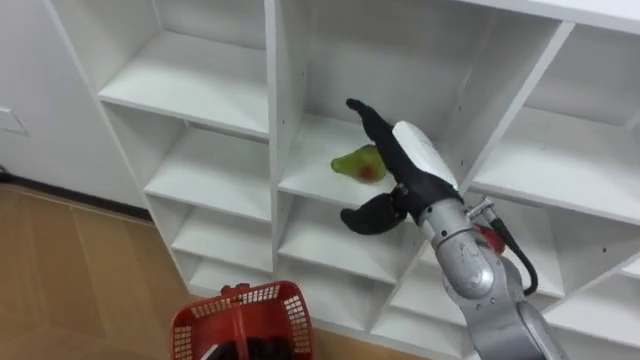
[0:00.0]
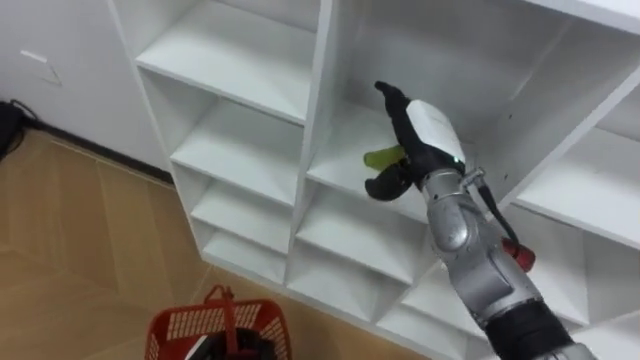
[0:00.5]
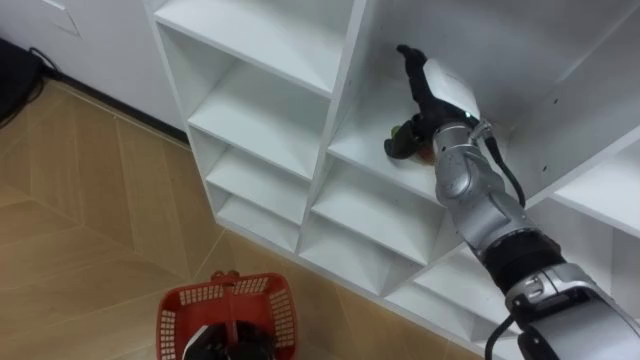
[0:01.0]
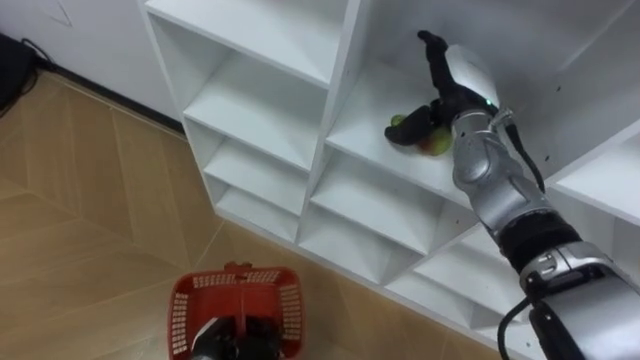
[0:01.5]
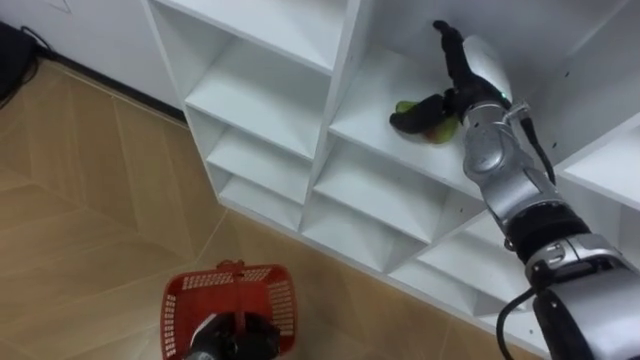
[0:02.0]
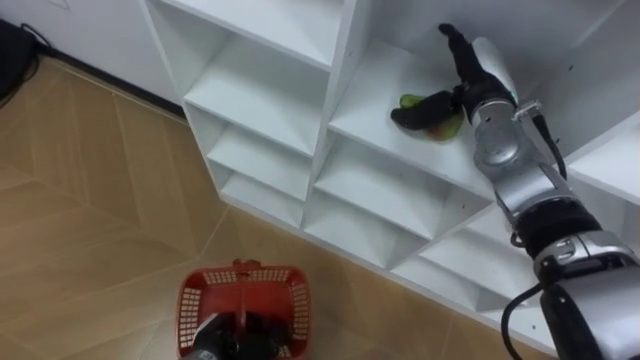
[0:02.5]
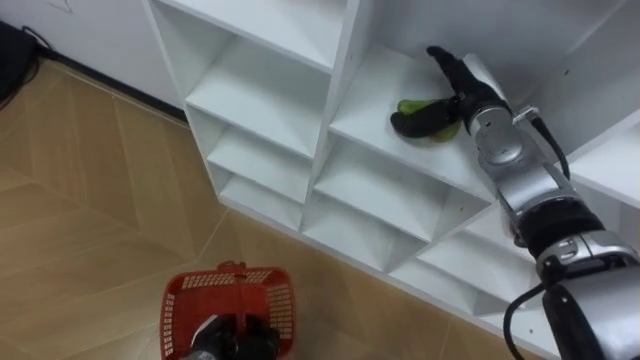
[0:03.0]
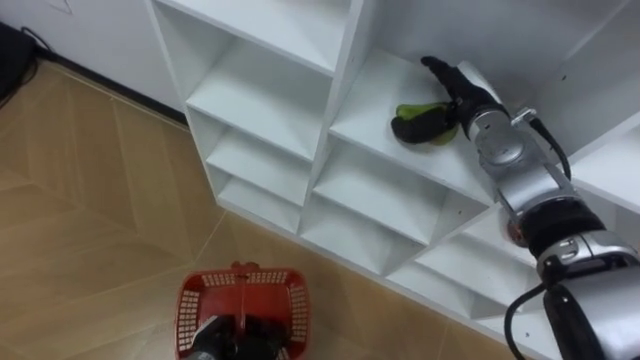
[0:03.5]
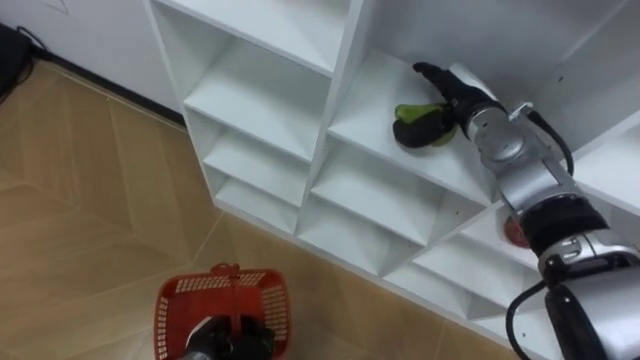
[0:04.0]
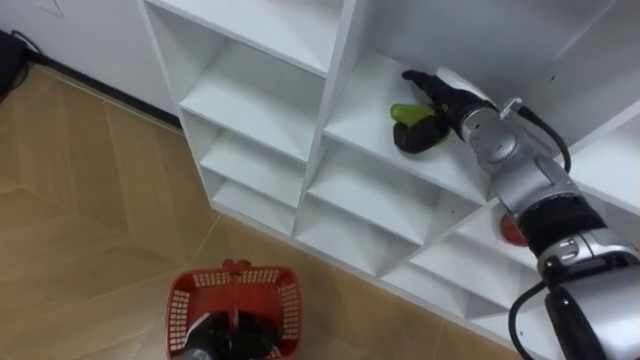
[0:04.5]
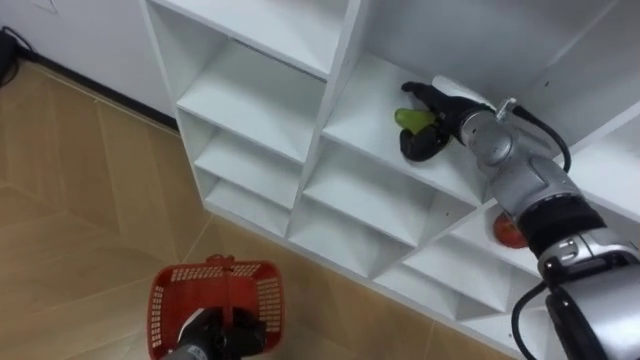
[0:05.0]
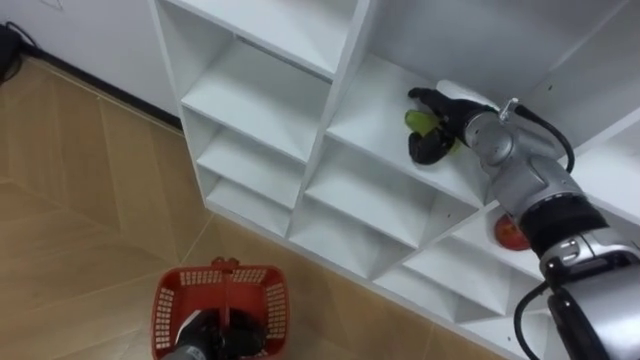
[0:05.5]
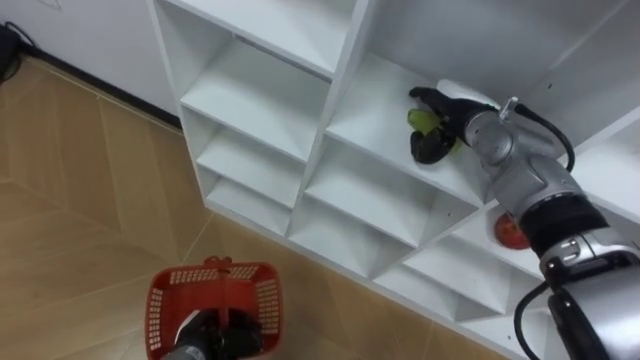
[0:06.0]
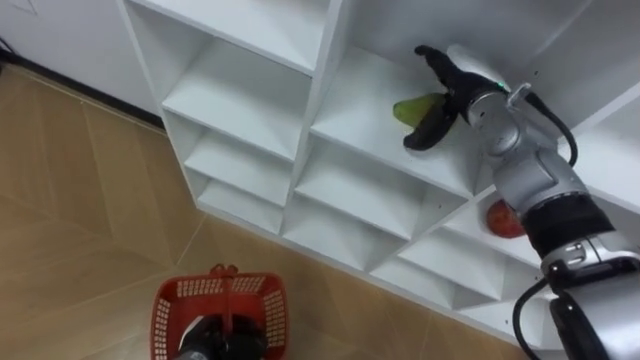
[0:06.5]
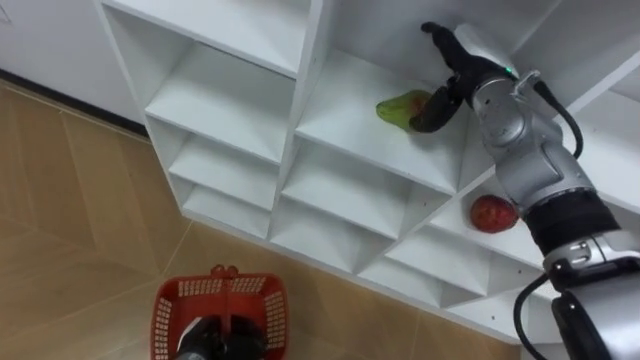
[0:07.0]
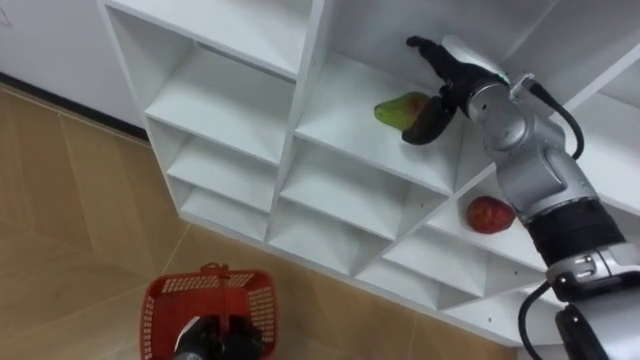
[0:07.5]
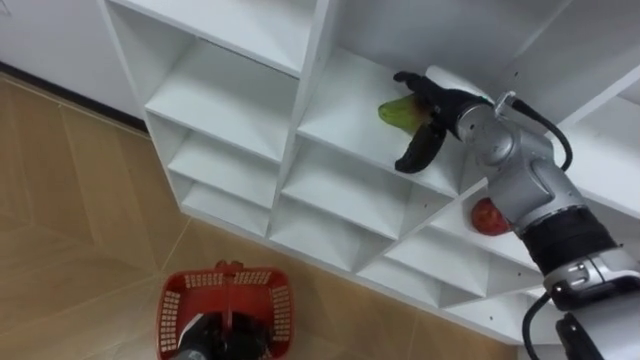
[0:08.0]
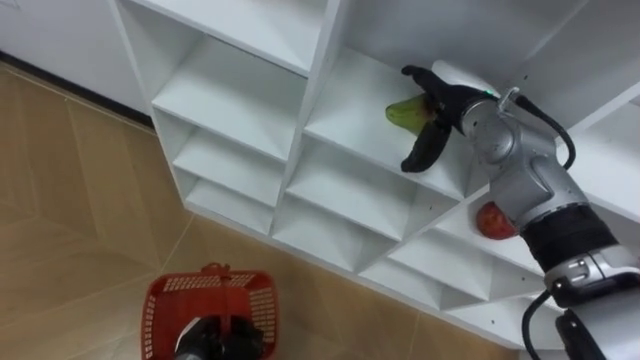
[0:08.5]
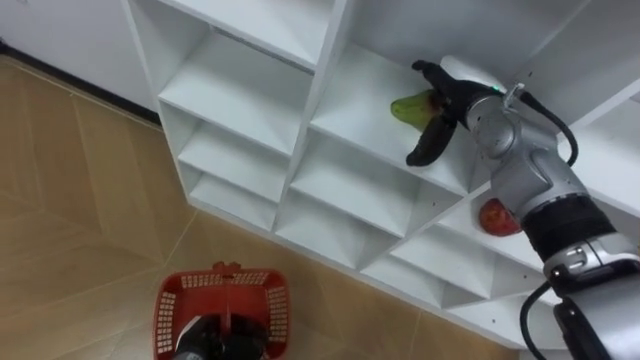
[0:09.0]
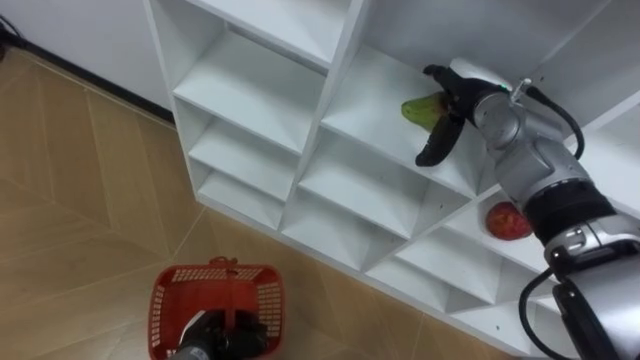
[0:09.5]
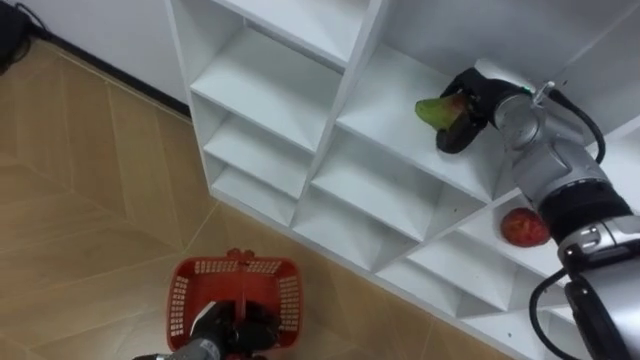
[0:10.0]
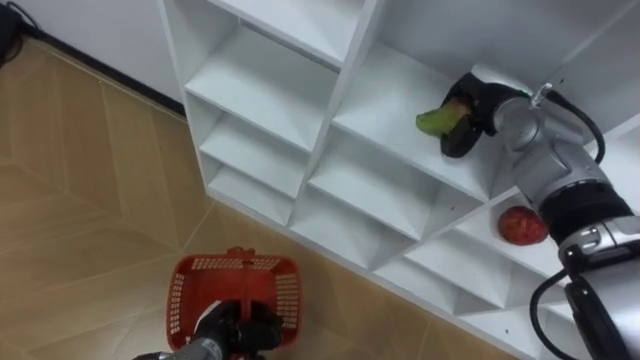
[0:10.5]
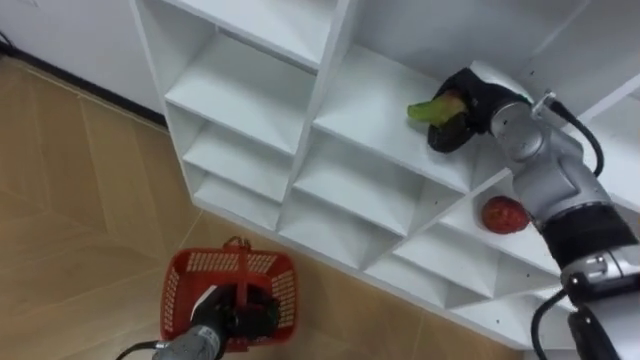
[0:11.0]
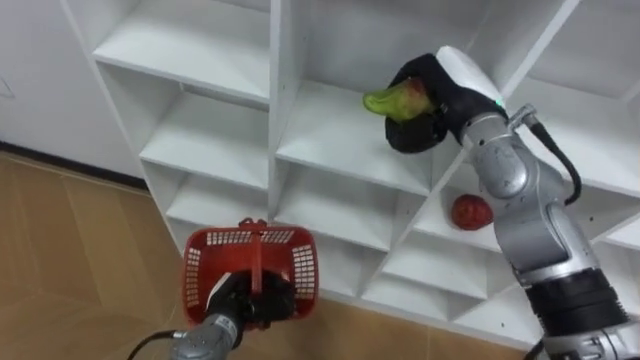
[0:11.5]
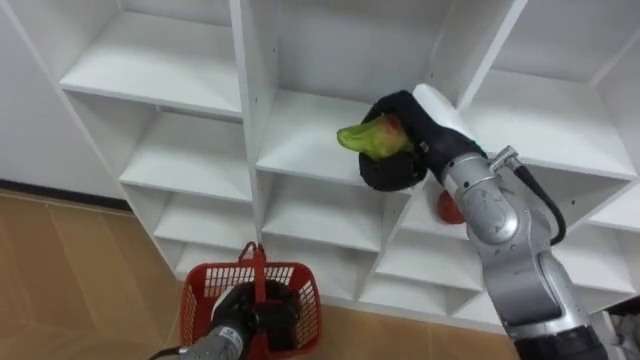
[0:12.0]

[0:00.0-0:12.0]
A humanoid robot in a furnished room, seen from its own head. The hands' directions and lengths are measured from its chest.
Task of the whole recording: Hold the basket and collect the fruits from 3 different cells of the closet into it.
0.0 to 2.0 s: The right hand travels forward and to the right by about 15 cm.
8.0 to 10.0 s: The right hand heads to the right, covering some 5 cm, and closes.
10.0 to 12.0 s: The right hand moves backward and to the left, about 10 cm.

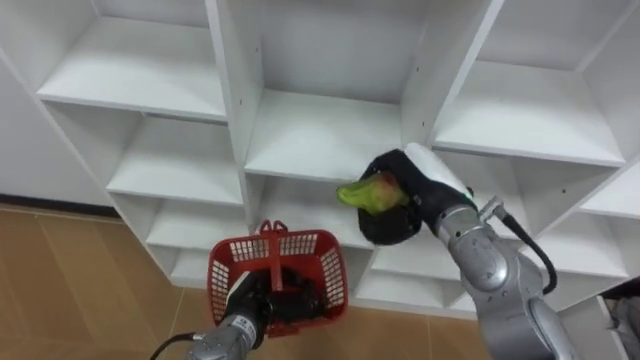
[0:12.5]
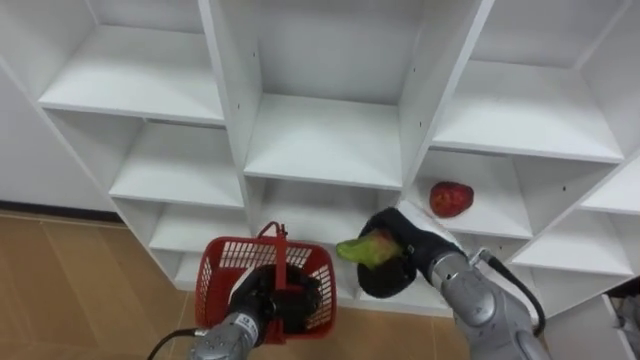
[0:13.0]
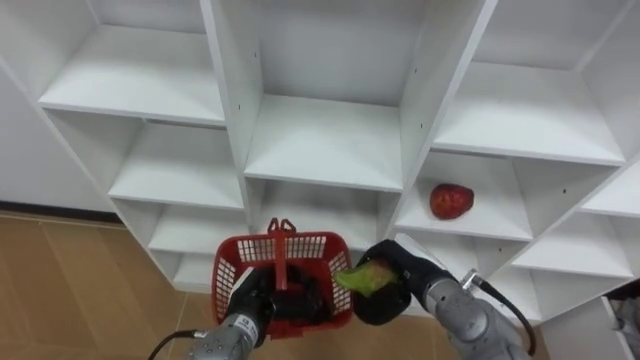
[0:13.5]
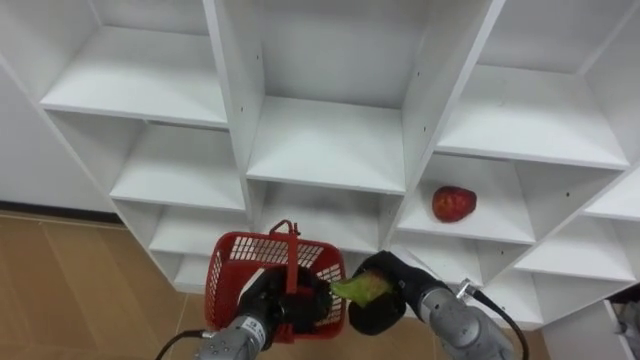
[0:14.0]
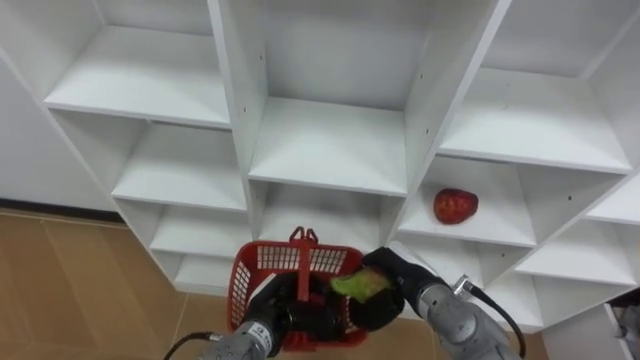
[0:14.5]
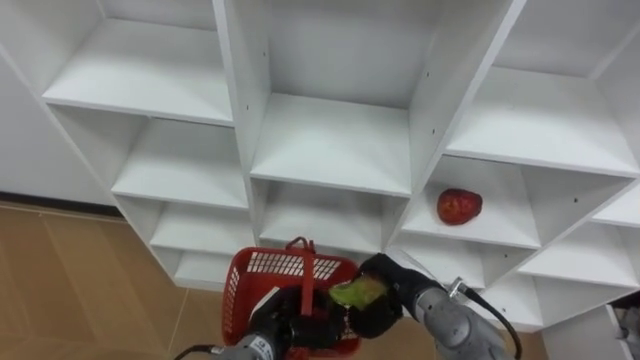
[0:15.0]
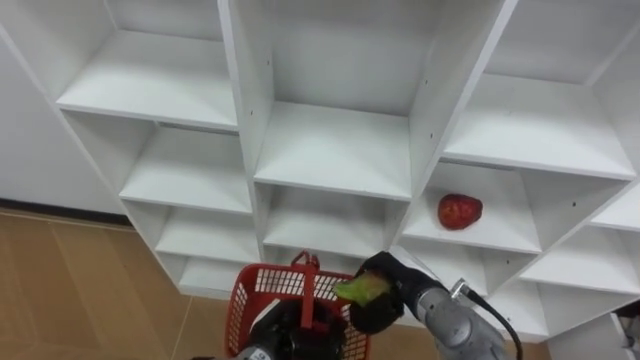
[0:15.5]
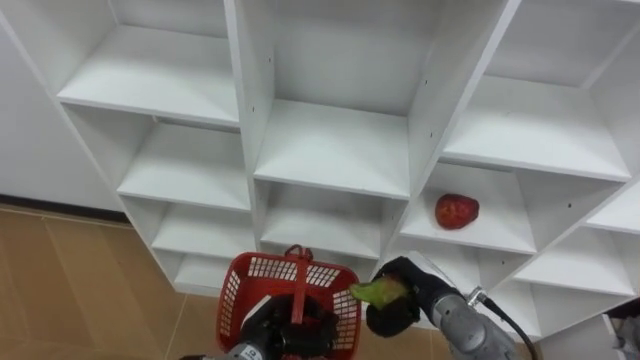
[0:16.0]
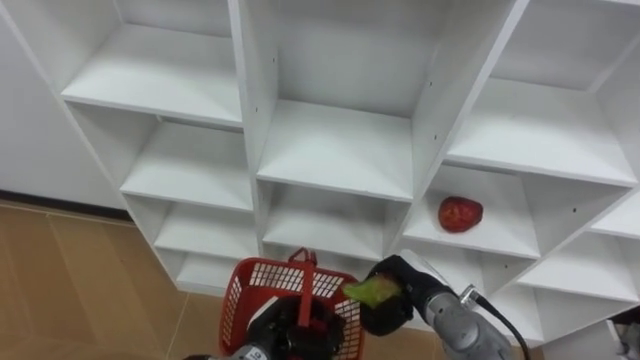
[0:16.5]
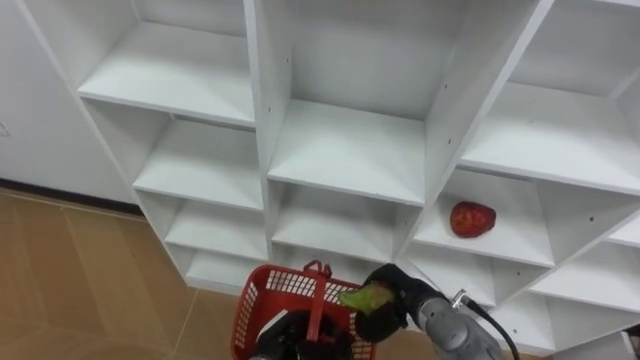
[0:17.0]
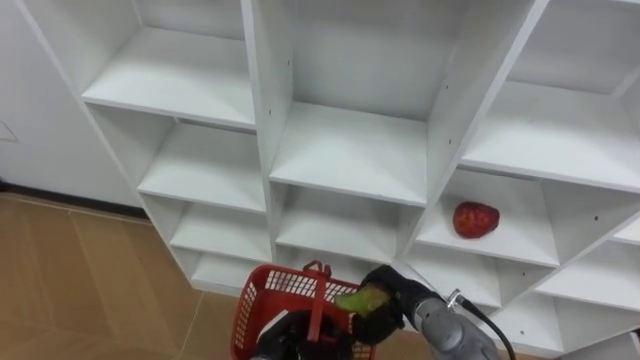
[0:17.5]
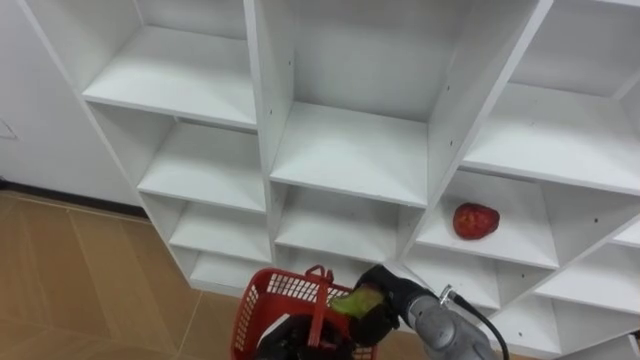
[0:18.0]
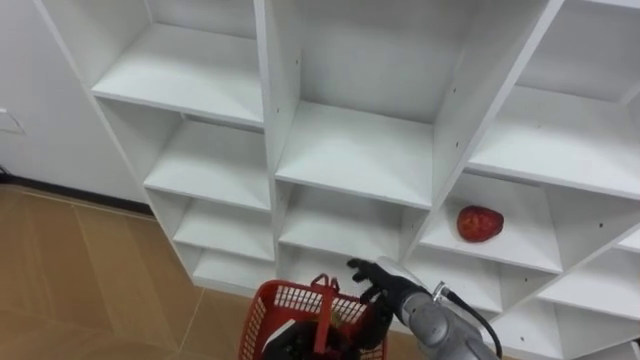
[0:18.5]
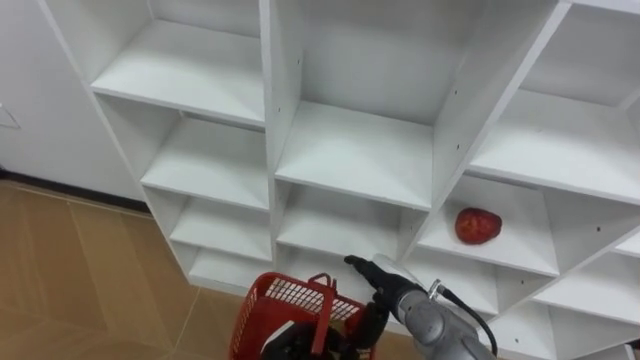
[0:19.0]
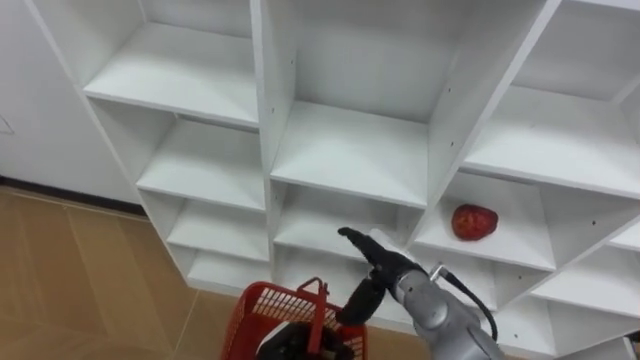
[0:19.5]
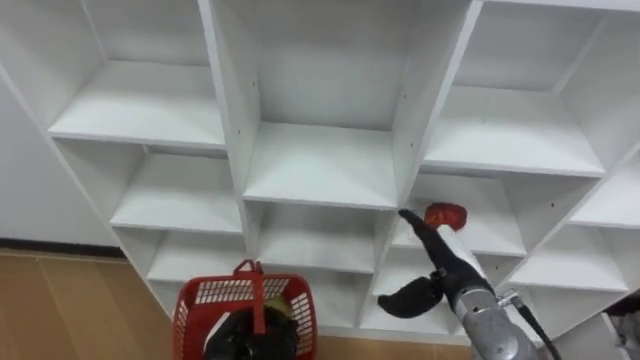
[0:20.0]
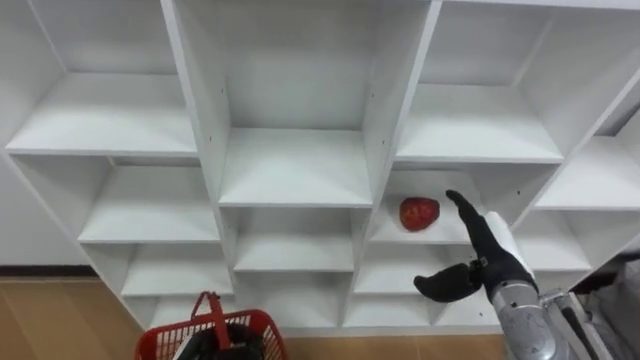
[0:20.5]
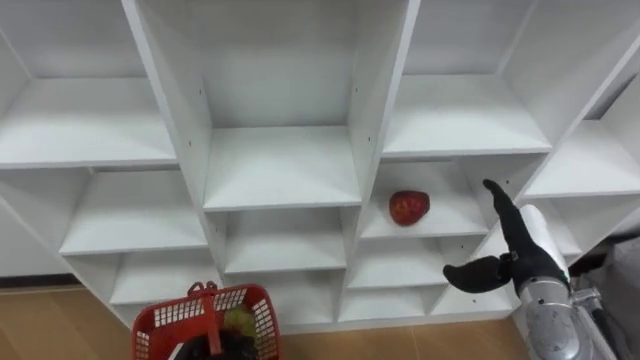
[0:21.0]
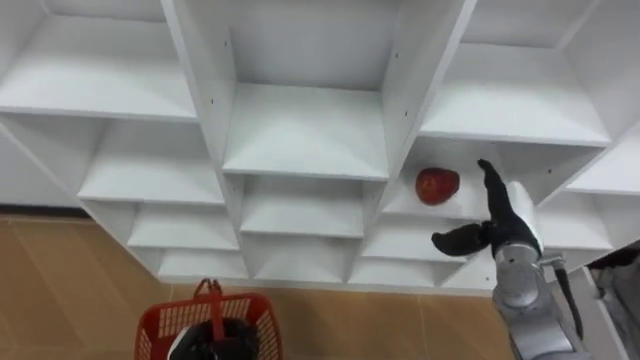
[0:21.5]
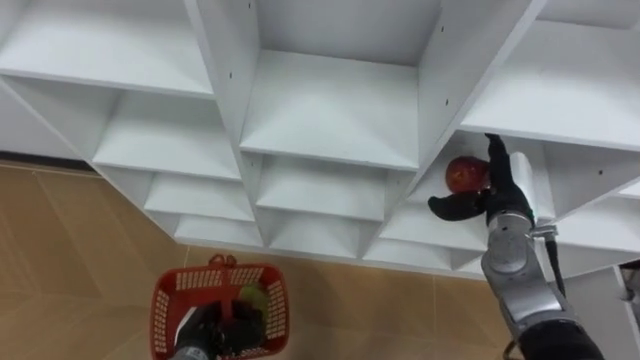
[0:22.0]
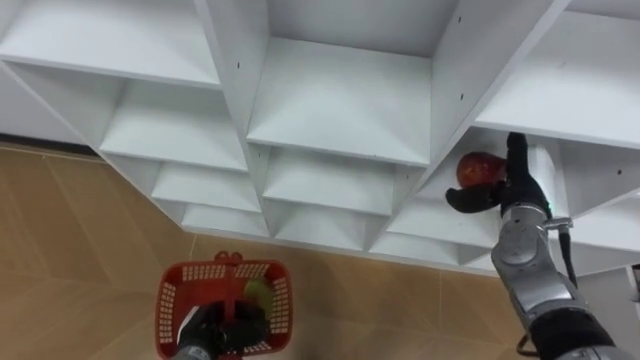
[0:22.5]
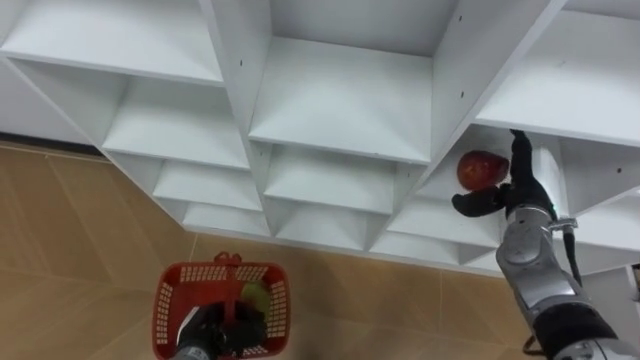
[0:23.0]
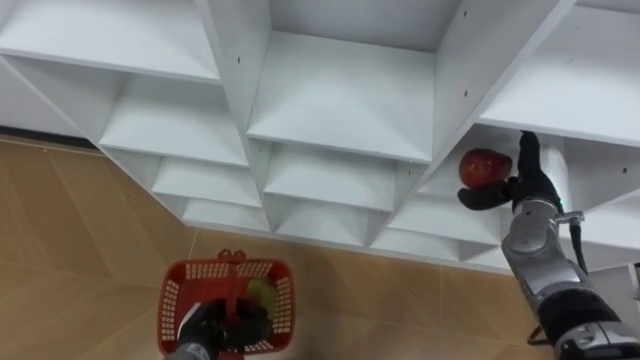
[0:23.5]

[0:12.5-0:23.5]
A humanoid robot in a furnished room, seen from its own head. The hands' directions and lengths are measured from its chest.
Task of the whole recording: Hold the basket and collect the fruits from 3 different cells of the closet into it.
12.5 to 14.5 s: The right hand shifts about 15 cm downward and backward.
14.5 to 16.0 s: The hands make only small movements.
18.0 to 20.0 s: The left hand travels to the left by approximately 5 cm. Meanwhile the right hand is displaced upward and to the right by about 10 cm, and opens up.
20.0 to 21.5 s: The right hand travels to the right and forward by about 10 cm.
21.5 to 23.5 s: The right hand travels forward by approximately 5 cm.
